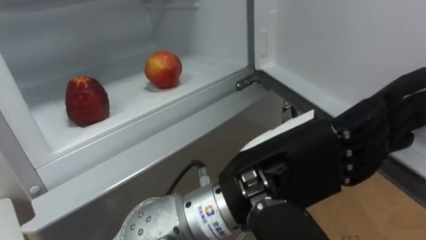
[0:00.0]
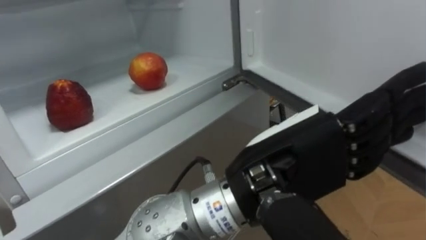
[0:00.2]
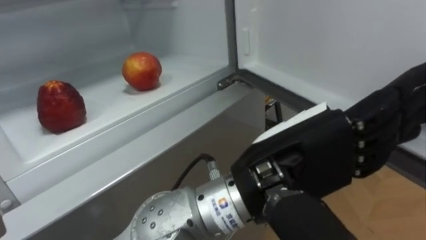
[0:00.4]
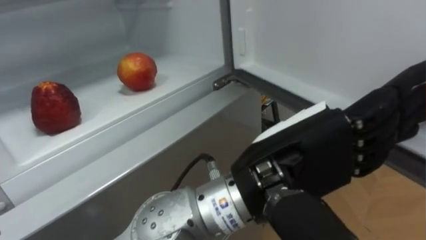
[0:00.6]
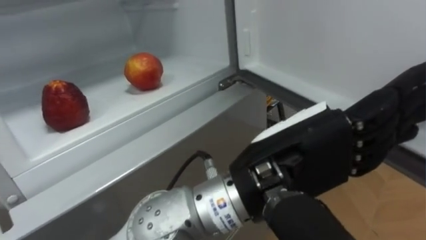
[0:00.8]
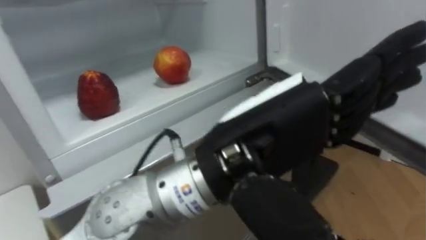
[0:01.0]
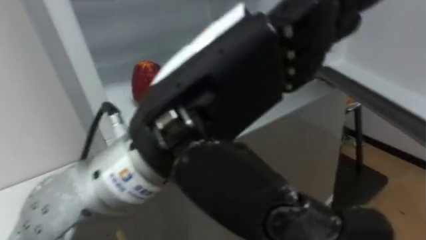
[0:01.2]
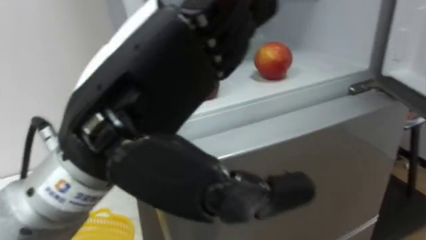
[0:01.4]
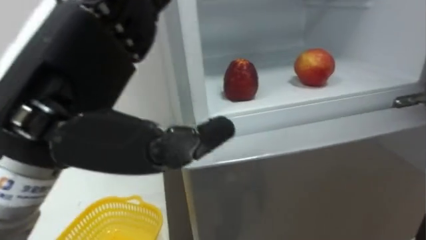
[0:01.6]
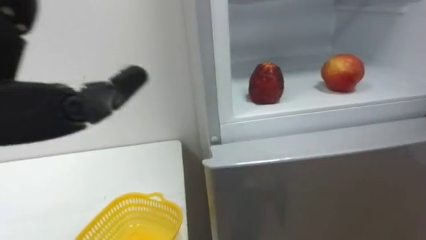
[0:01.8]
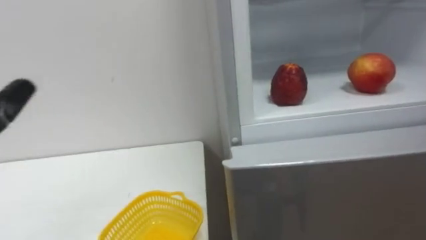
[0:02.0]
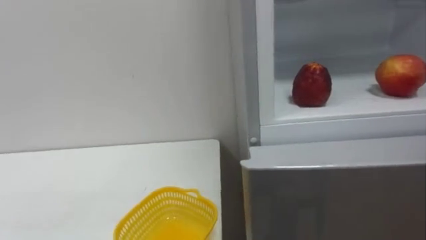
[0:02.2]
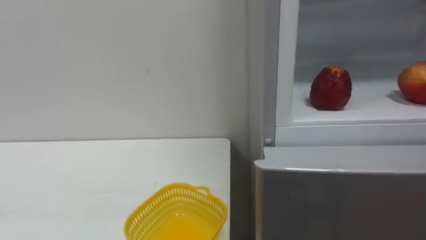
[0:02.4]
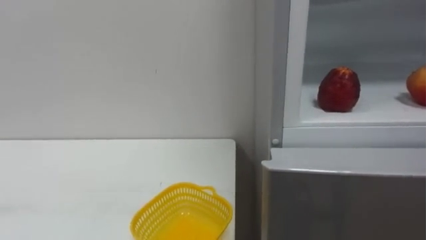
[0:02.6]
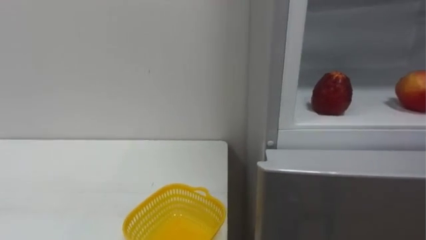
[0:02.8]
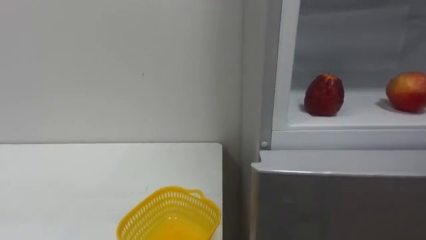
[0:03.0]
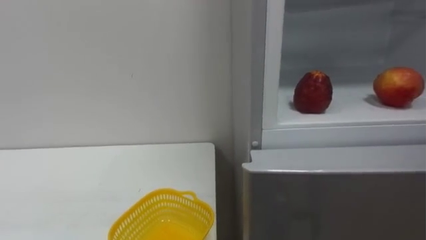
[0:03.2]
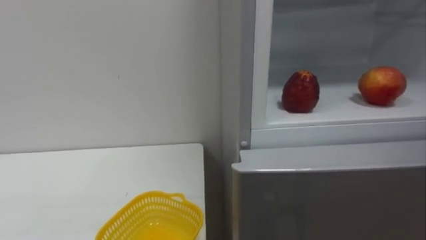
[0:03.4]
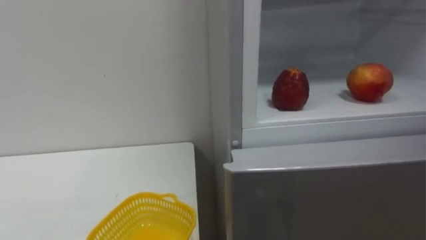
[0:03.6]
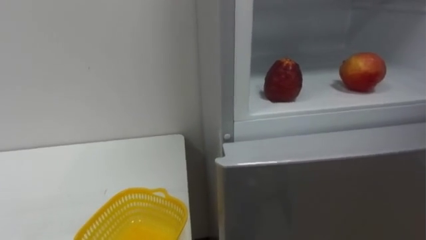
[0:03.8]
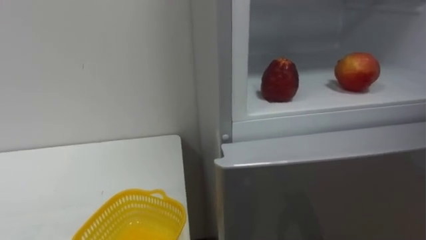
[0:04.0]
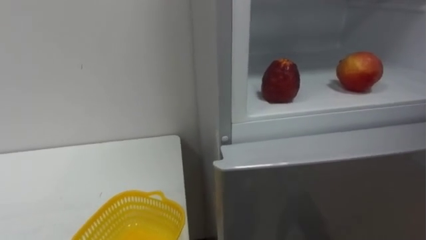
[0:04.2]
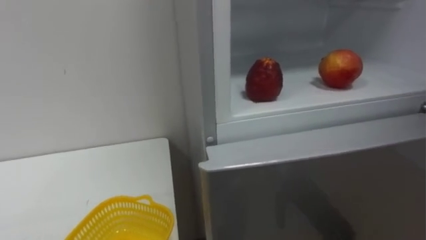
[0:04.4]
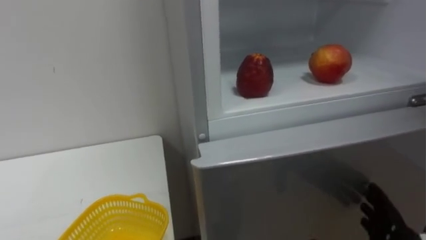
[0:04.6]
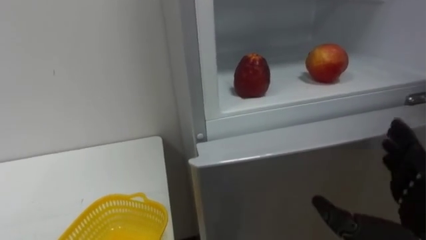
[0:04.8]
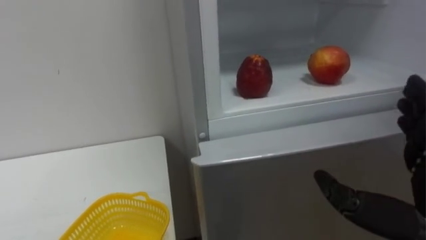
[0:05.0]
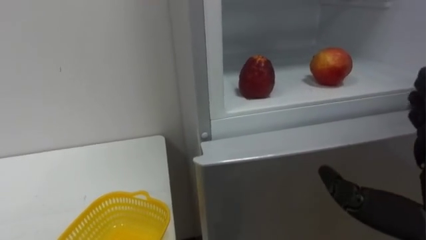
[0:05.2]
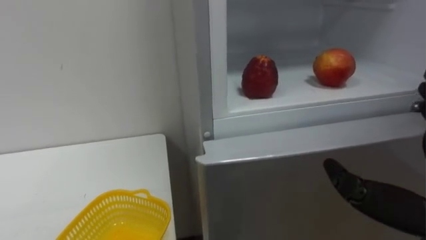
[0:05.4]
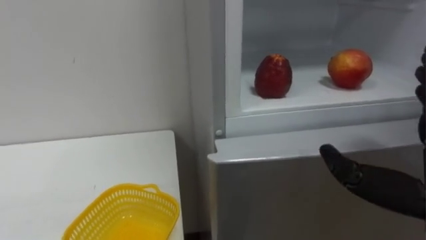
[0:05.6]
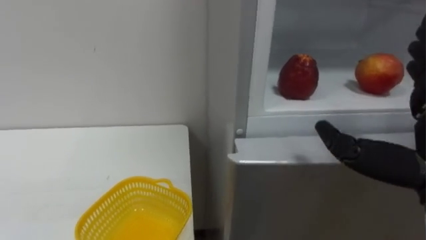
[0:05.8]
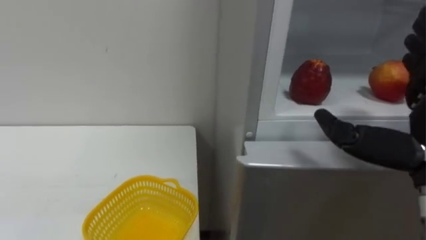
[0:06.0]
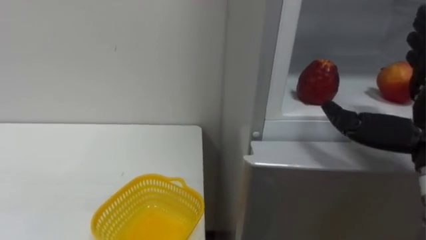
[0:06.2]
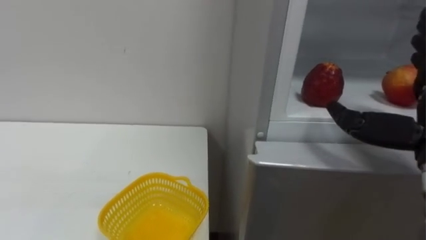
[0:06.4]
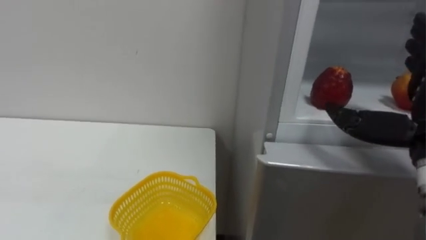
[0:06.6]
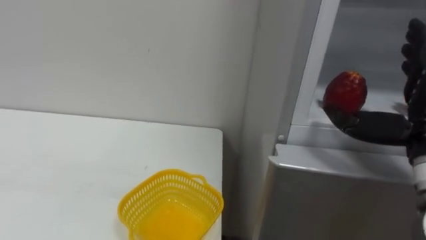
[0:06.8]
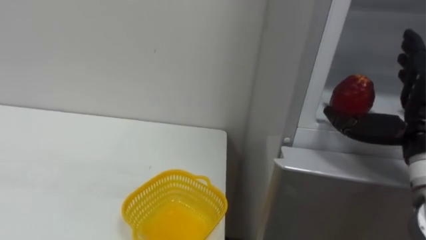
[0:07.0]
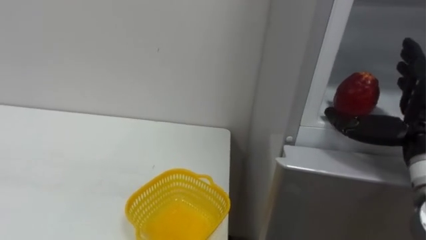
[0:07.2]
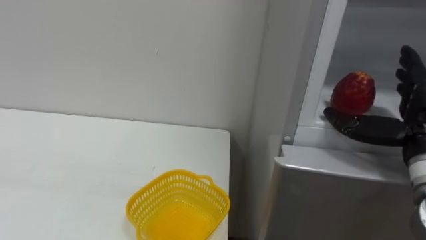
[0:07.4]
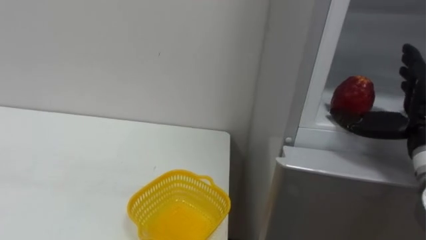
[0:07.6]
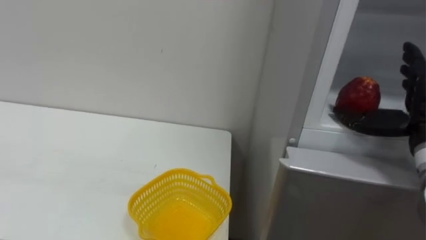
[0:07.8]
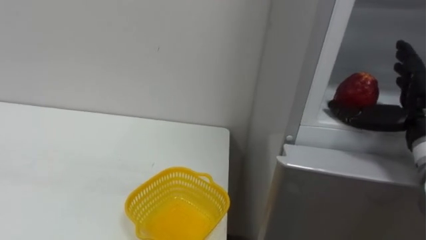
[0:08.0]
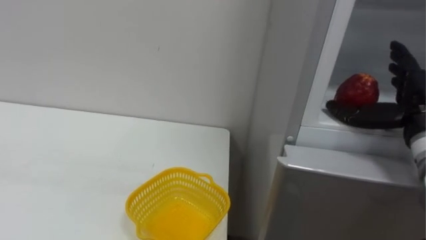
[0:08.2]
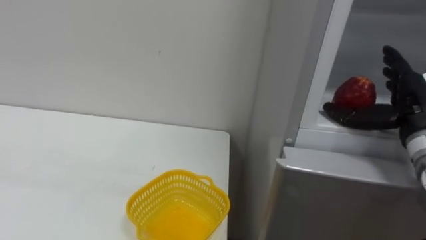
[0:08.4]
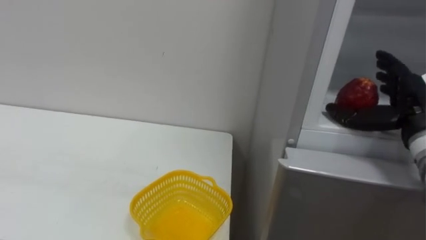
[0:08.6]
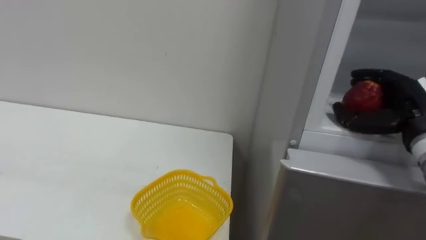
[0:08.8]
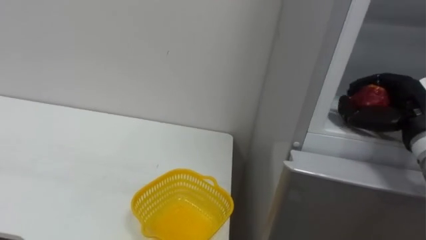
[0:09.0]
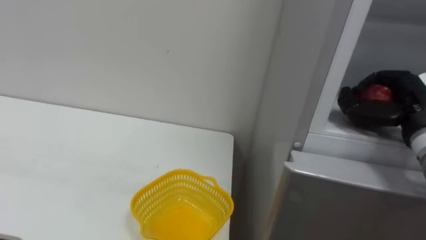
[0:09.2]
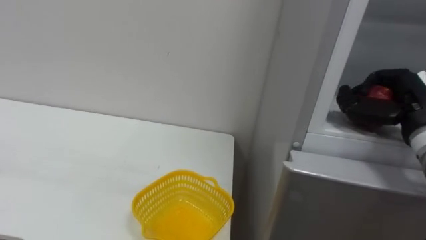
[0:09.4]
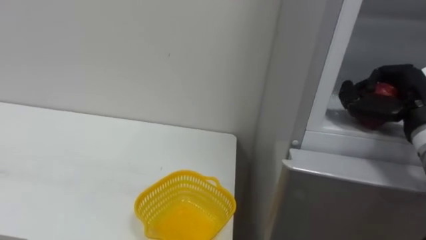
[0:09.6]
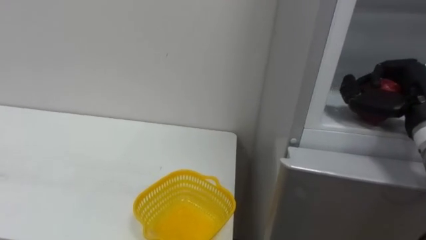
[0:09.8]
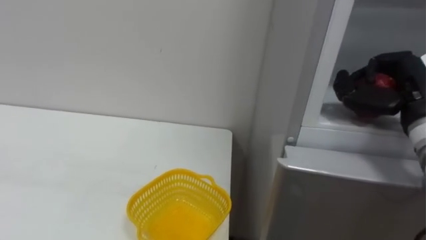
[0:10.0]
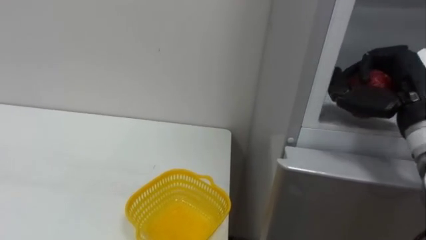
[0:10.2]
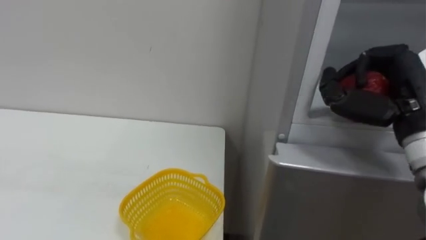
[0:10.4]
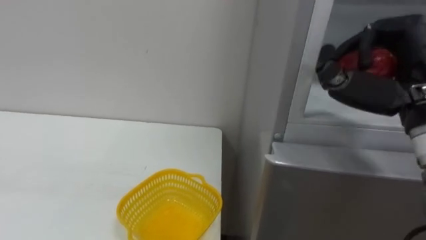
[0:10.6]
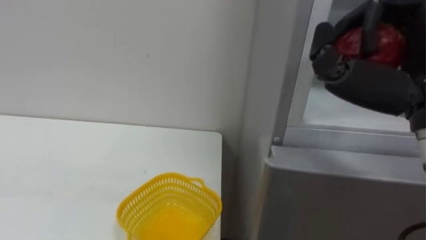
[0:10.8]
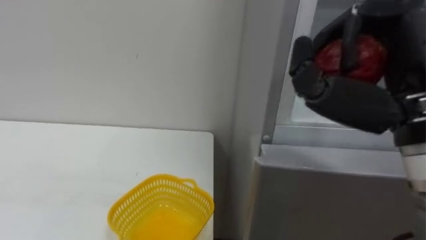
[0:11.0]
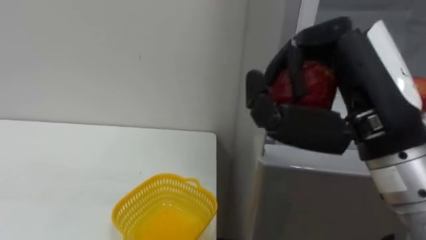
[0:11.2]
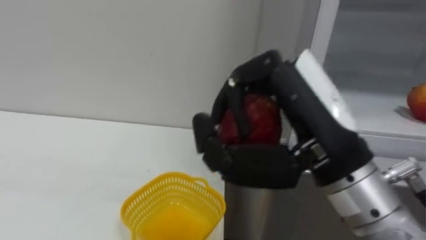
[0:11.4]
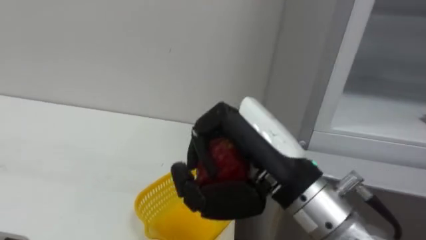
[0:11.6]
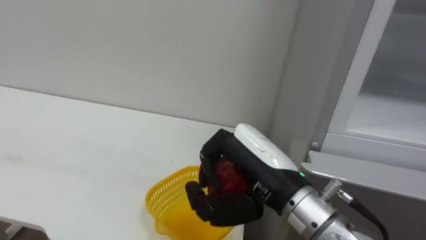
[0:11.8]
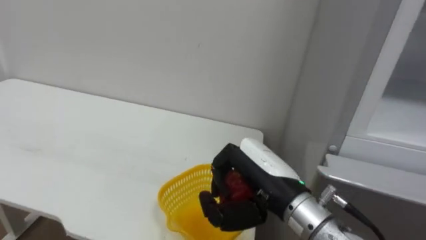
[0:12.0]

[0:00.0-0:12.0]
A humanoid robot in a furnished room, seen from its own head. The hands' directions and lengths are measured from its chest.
Task of the whole recording: Open the refrigerator door, take out the apple and the pomegranate, place them in the fruit basket on the left, and close the refrigerator door.
0:00.0 to 0:01.6: The left hand shifts roughly 20 cm to the left and upward.
0:07.6 to 0:09.0: The right hand closes.
0:09.0 to 0:10.4: The right hand is displaced upward, to the left and backward by approximately 10 cm.
0:10.4 to 0:12.0: The right hand shifts roughly 20 cm to the left and downward.

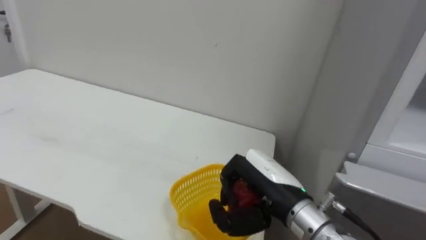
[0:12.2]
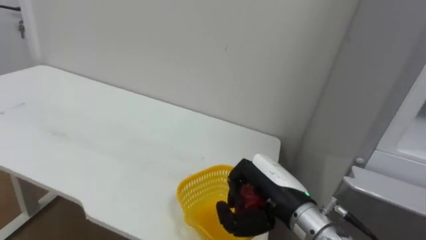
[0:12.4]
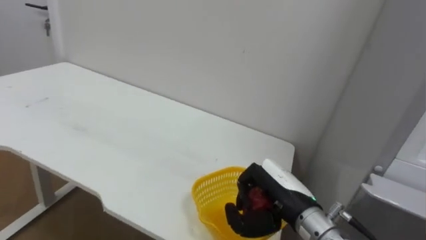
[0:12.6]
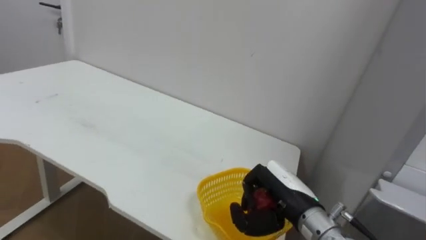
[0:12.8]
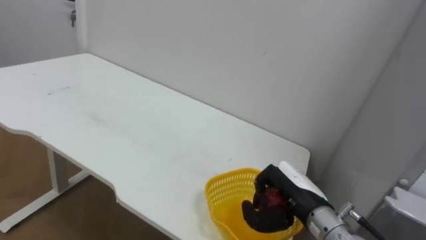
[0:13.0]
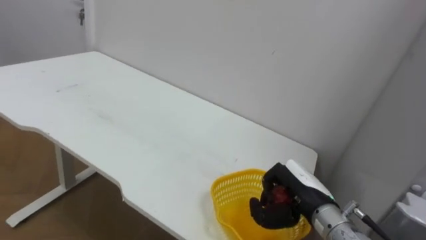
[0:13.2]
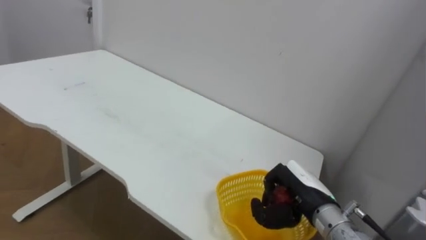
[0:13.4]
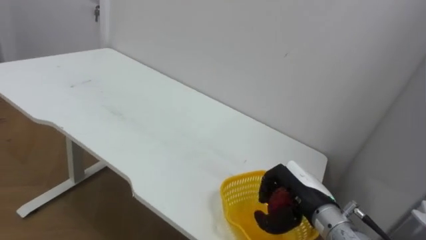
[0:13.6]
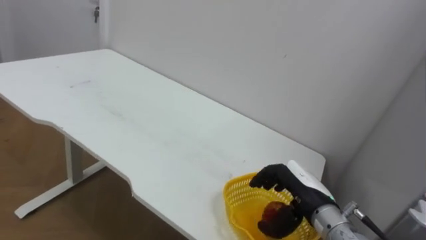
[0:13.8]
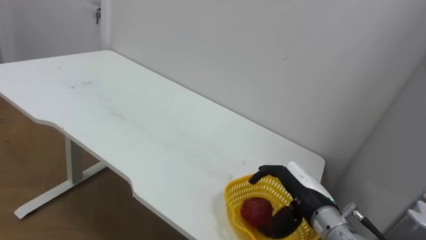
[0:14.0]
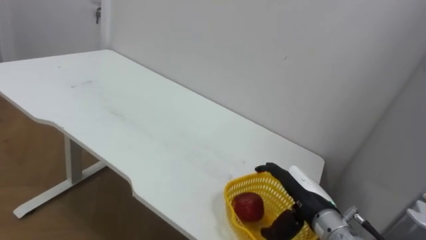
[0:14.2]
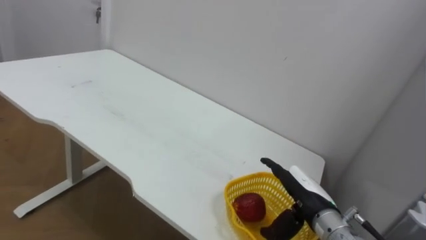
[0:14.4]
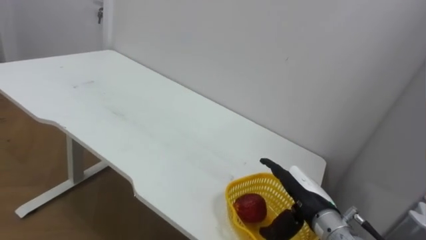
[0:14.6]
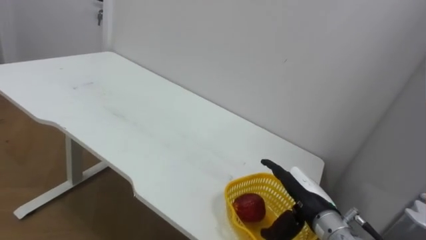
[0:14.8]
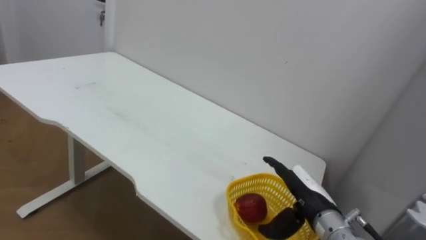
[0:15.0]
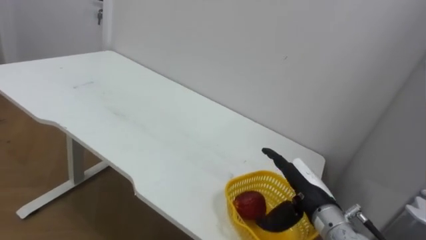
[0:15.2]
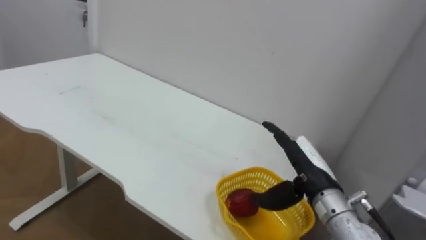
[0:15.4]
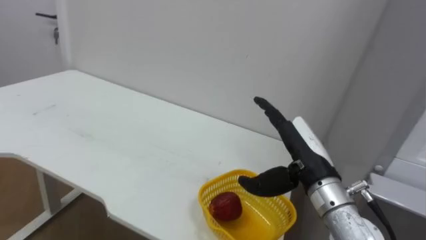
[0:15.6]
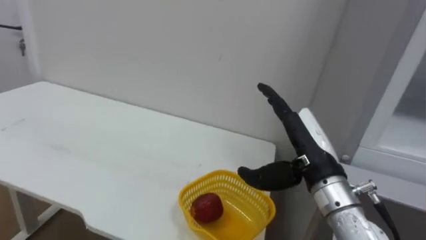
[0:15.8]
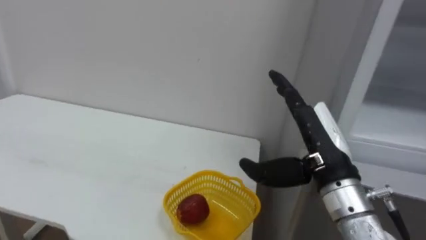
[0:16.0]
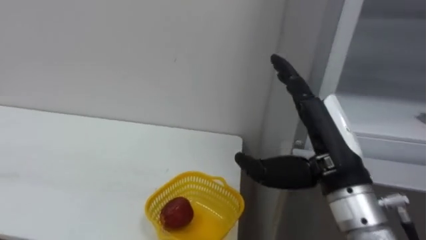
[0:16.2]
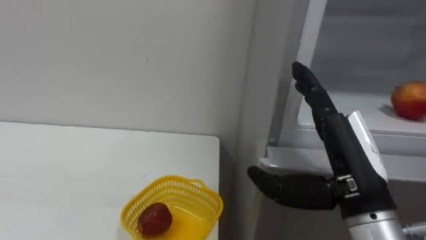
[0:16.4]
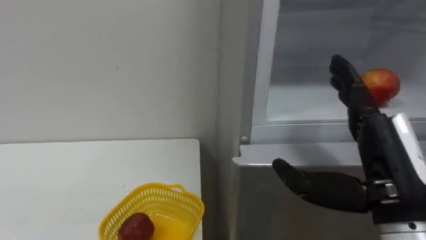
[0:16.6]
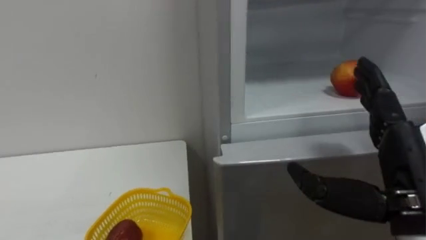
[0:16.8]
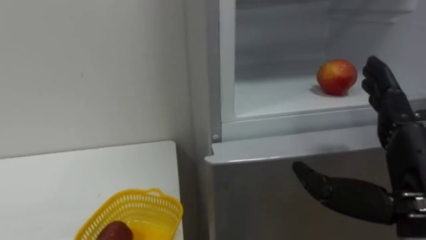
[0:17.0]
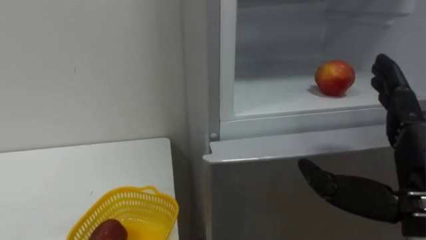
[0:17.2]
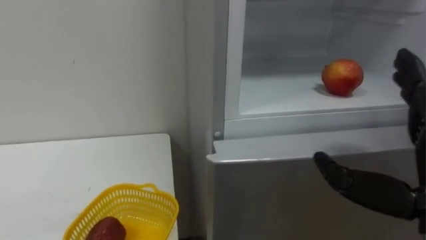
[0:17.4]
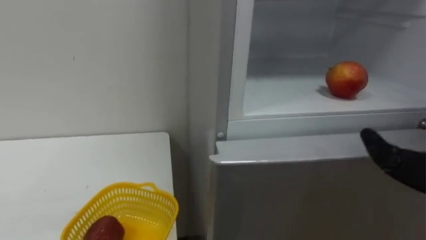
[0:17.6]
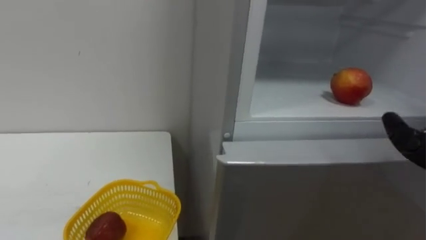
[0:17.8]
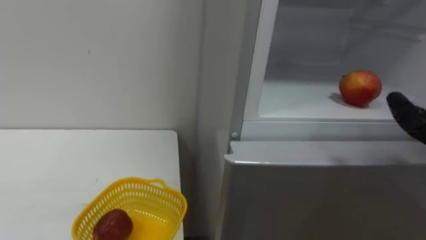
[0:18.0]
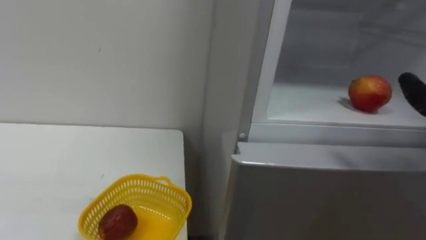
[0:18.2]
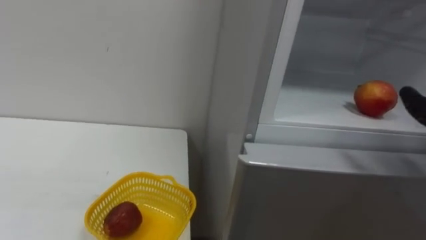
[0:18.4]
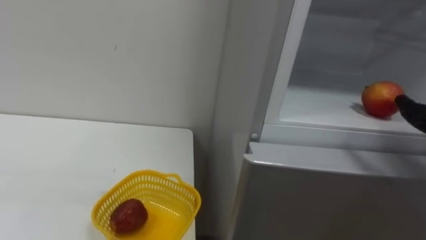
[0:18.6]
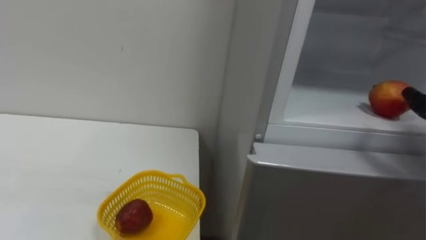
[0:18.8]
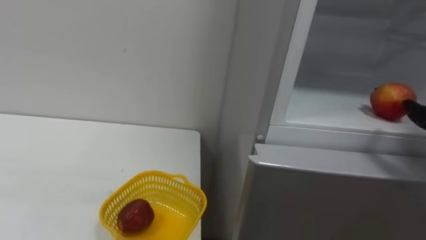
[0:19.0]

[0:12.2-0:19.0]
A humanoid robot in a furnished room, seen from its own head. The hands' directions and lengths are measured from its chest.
Task of the whole recording: Open the refrigerator door, take out the apple and the pomegranate, place them in the fruit basket on the left, and close the refrigerator door.
0:12.2 to 0:13.6: The right hand is displaced to the right and downward by approximately 10 cm.
0:13.6 to 0:15.0: The right hand opens its fingers.
0:15.0 to 0:16.2: The right hand is displaced upward by some 15 cm.
